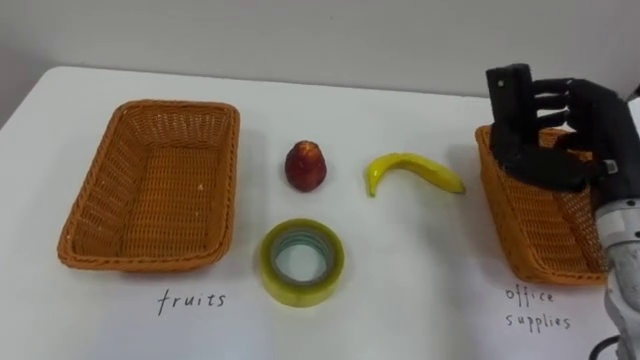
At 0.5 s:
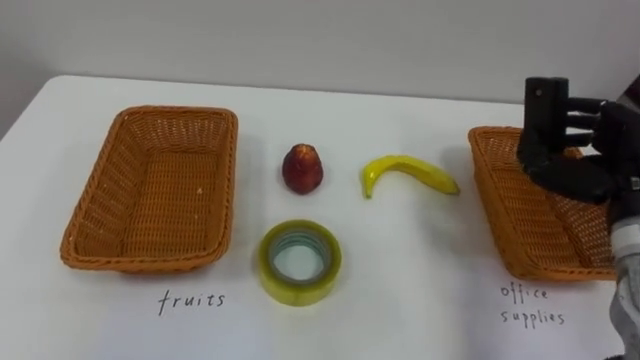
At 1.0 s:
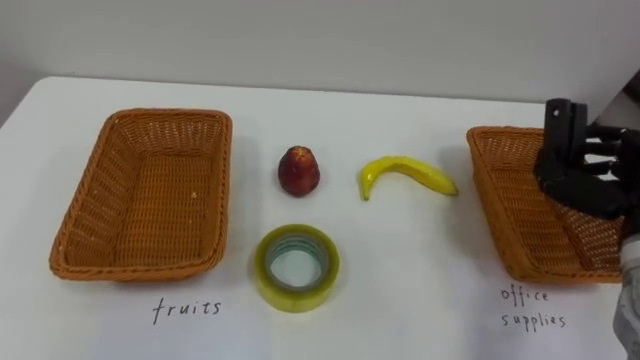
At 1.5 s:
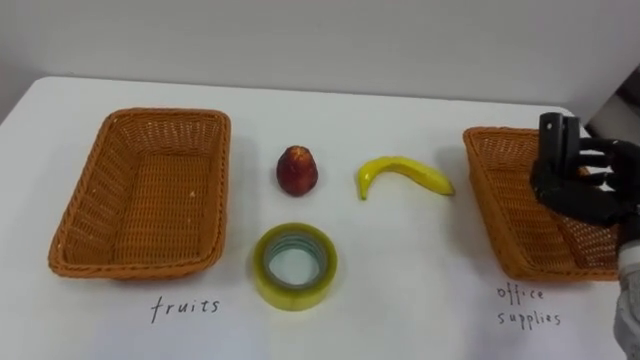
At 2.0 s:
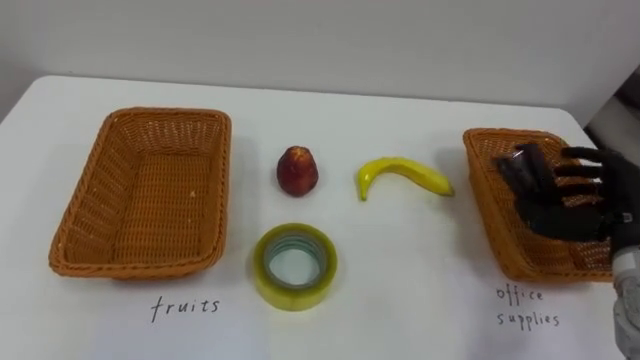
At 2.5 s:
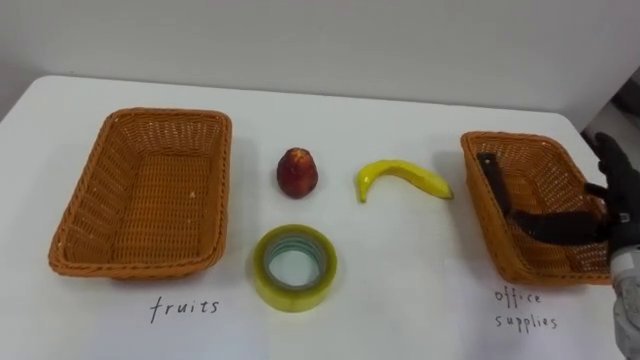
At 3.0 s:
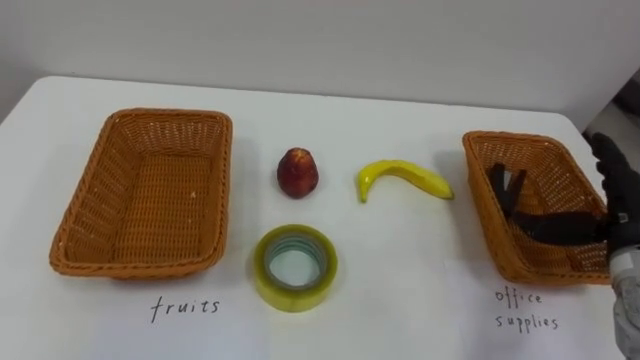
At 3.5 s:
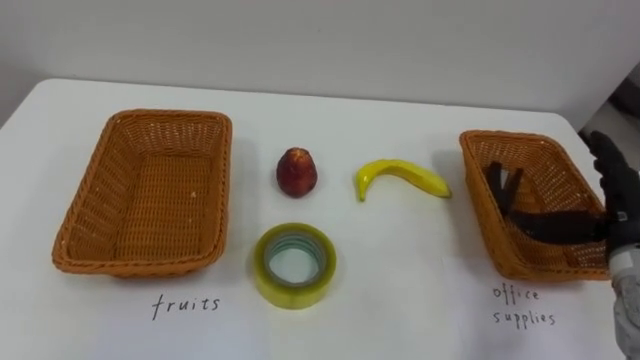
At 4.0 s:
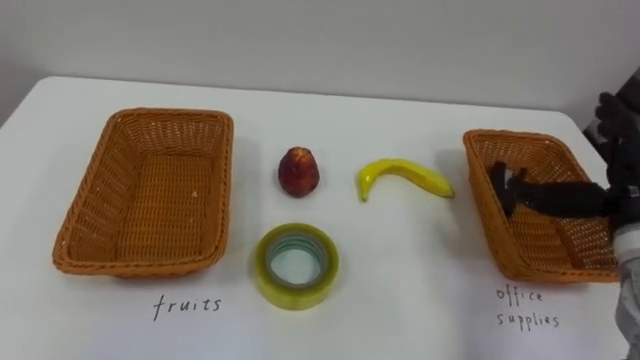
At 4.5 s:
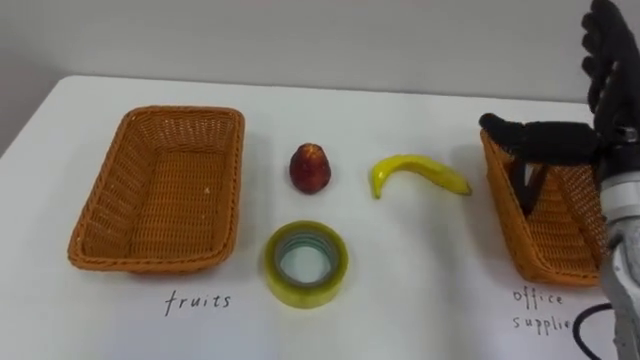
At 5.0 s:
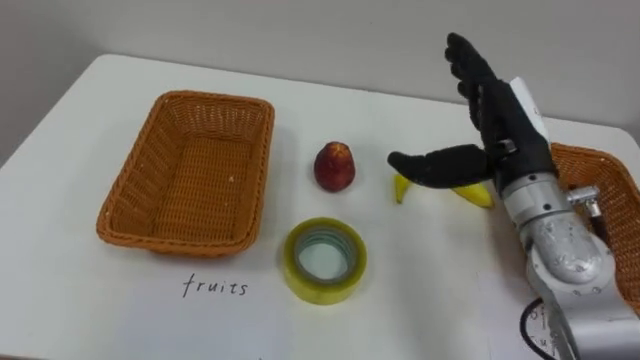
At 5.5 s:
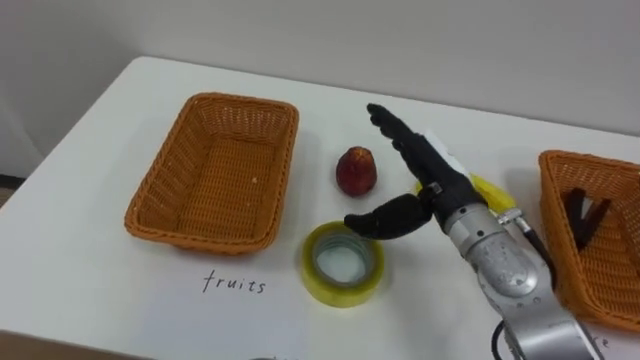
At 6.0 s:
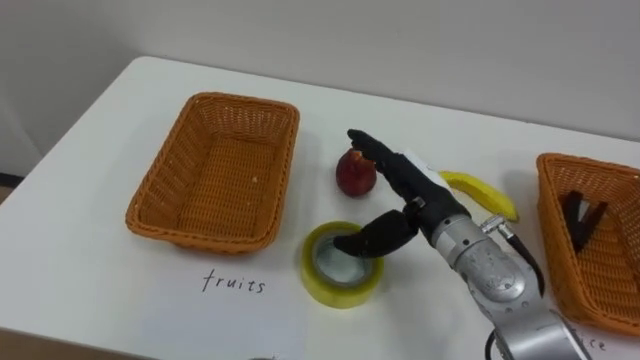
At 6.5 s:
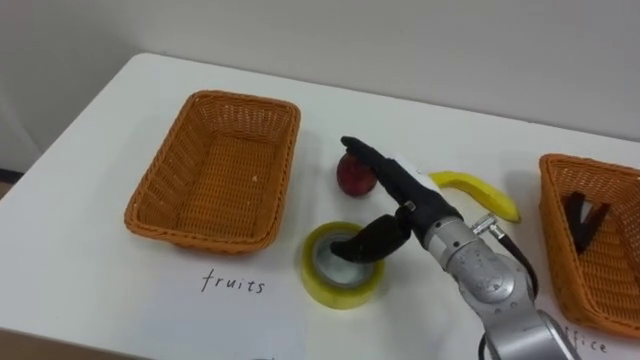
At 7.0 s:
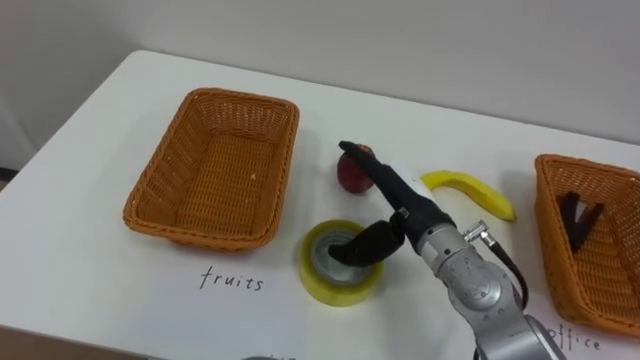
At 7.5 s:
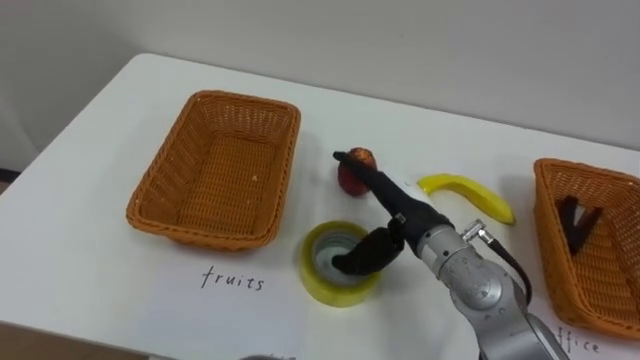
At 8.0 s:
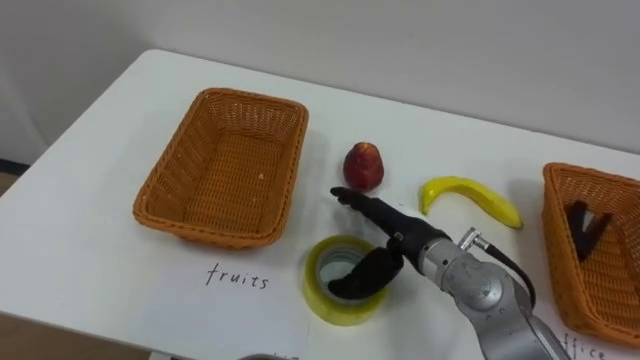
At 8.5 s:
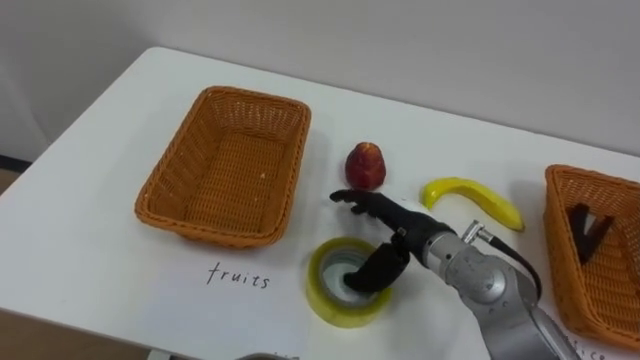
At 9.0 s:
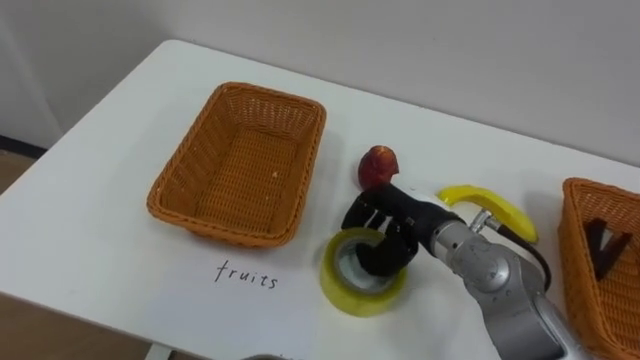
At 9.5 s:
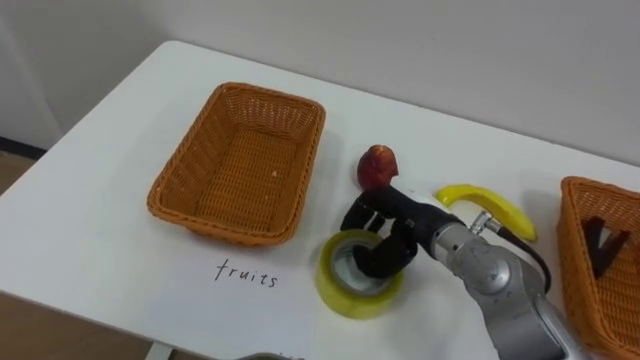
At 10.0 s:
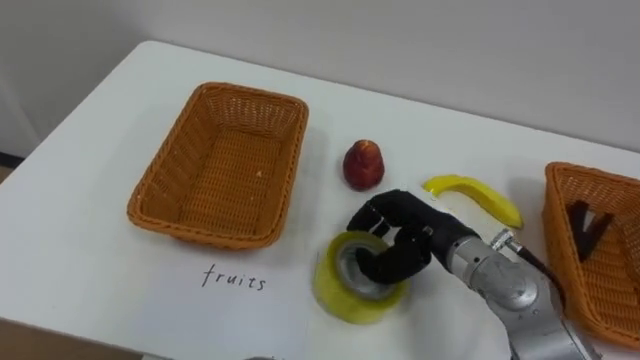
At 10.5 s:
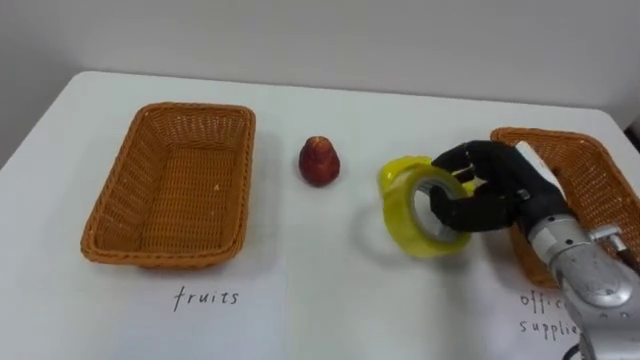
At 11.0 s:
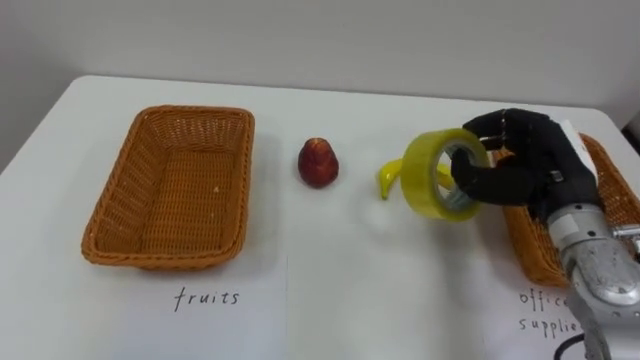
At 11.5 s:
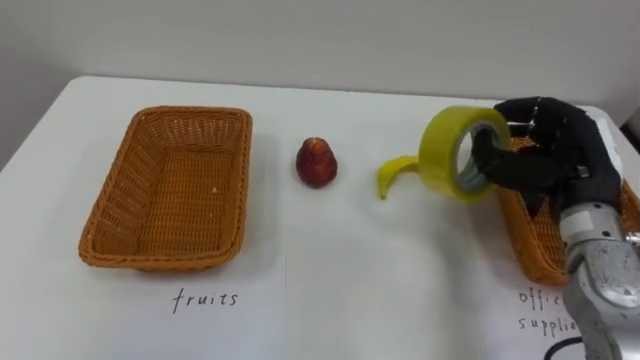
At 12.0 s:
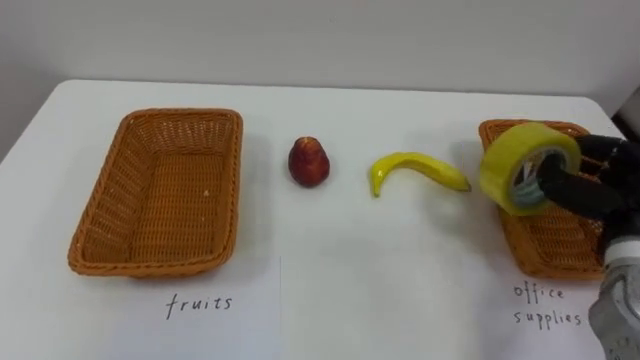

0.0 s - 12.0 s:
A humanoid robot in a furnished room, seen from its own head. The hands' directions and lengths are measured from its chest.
Task of the whole recording: Separate the items on the table and place them into the two baskets.
2.0 s - 4.0 s: The right hand opens its fingers.
4.0 s - 6.0 s: The right hand heads to the left, covering about 20 cm.
6.0 s - 8.0 s: The right hand heads downward, covering approximately 5 cm.
8.0 s - 10.0 s: The right hand closes its fingers.
10.0 s - 12.0 s: The right hand shifts about 20 cm to the right.

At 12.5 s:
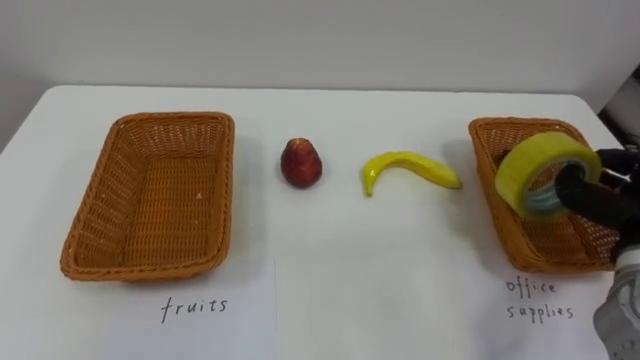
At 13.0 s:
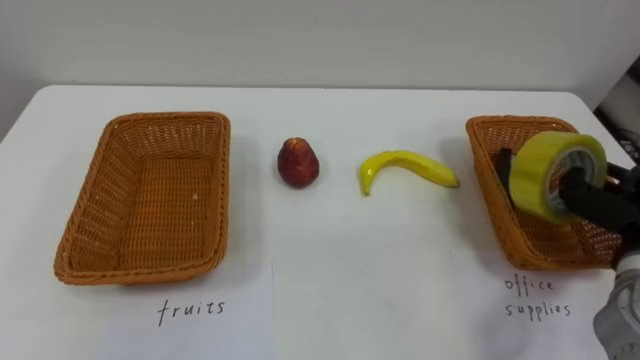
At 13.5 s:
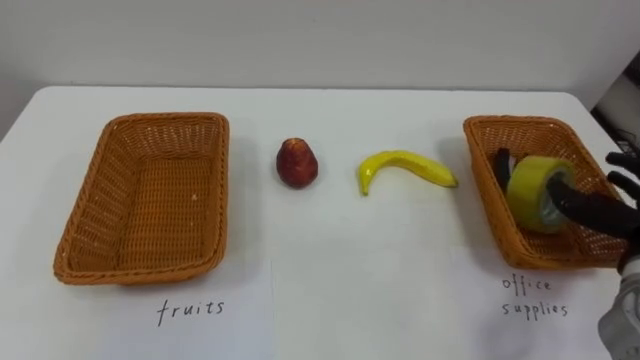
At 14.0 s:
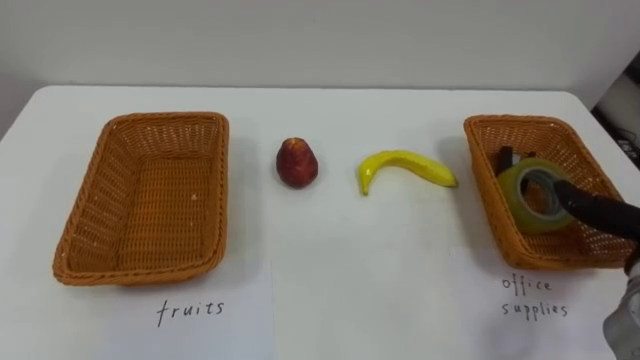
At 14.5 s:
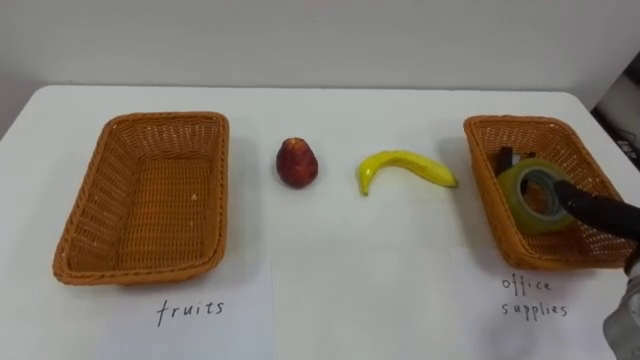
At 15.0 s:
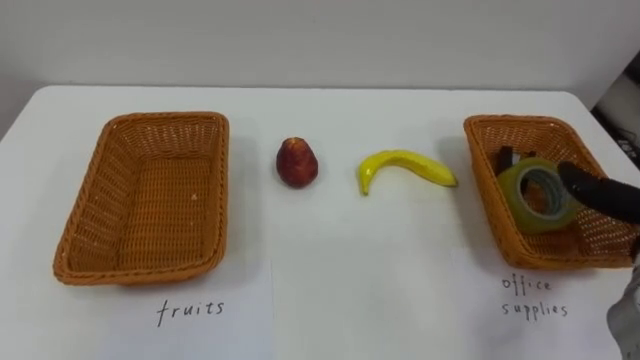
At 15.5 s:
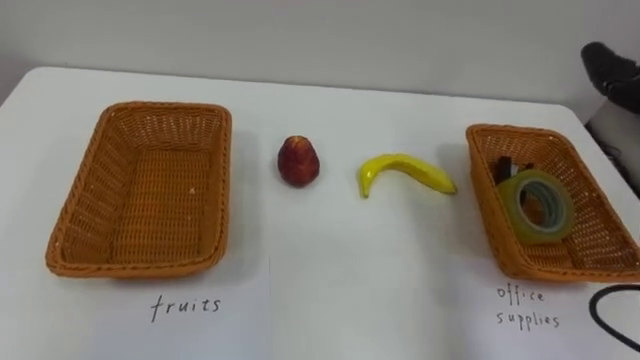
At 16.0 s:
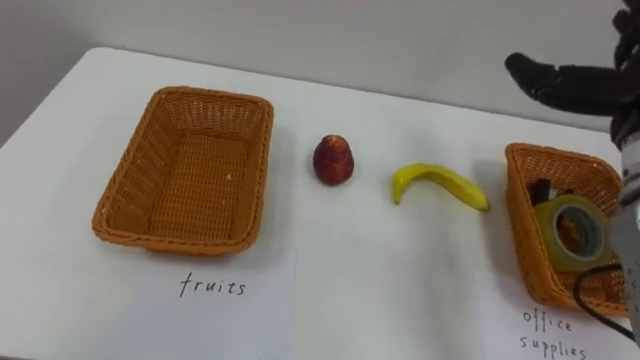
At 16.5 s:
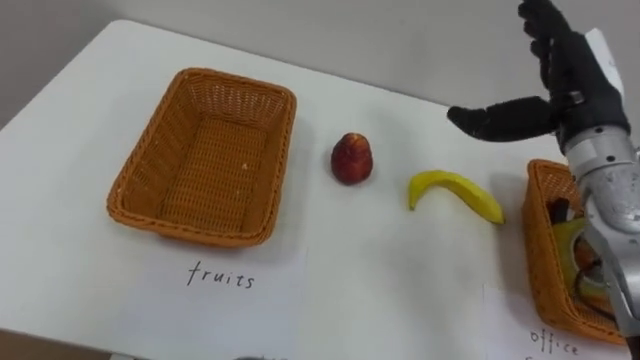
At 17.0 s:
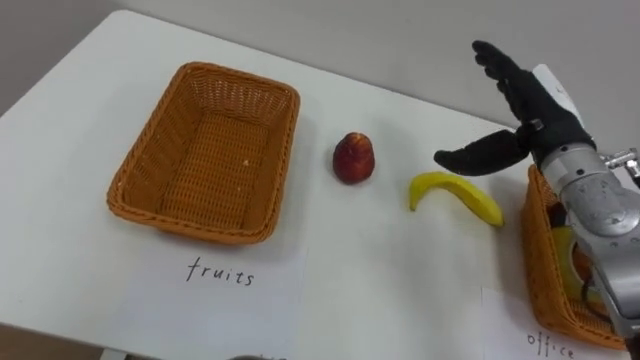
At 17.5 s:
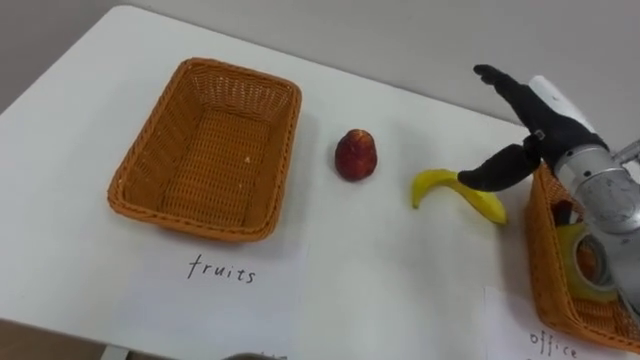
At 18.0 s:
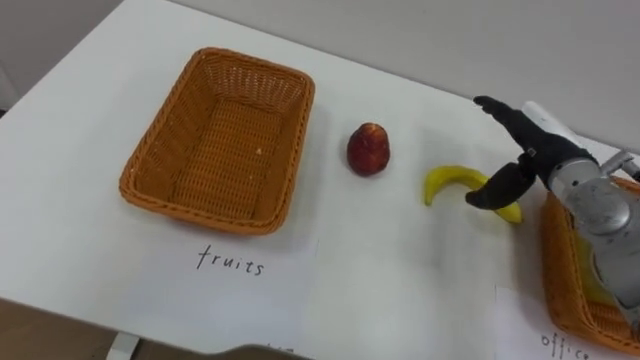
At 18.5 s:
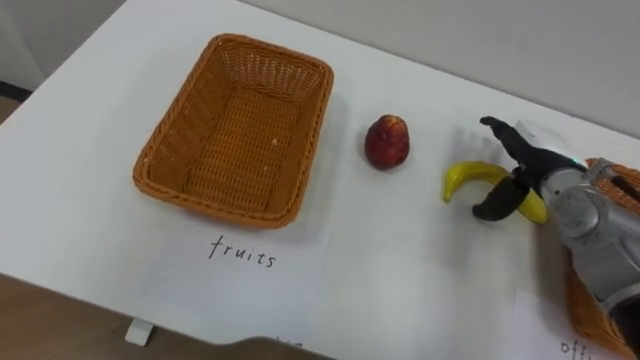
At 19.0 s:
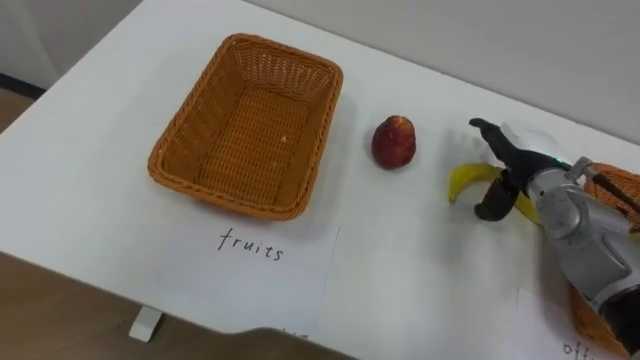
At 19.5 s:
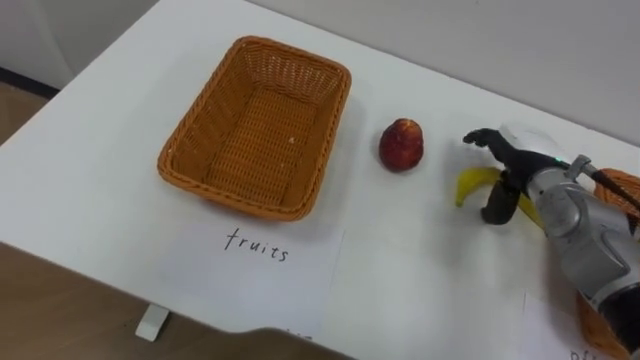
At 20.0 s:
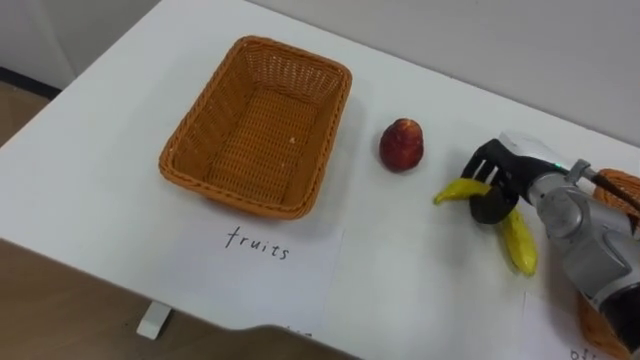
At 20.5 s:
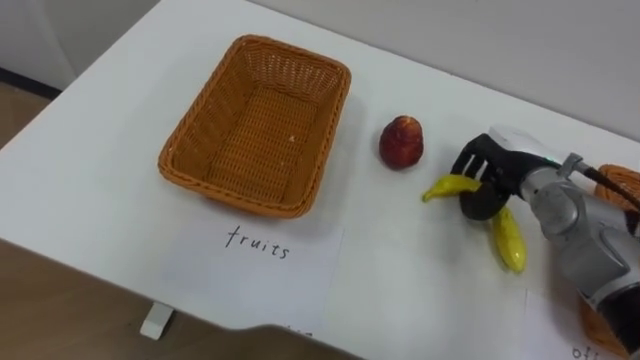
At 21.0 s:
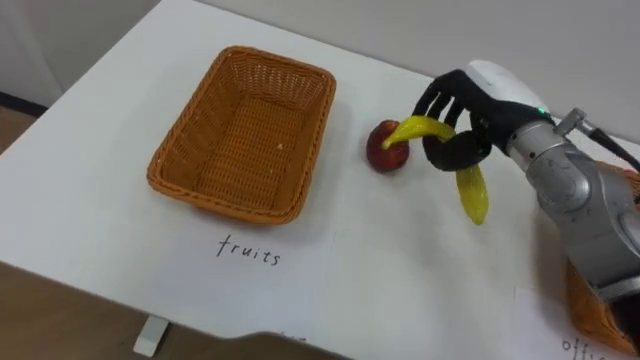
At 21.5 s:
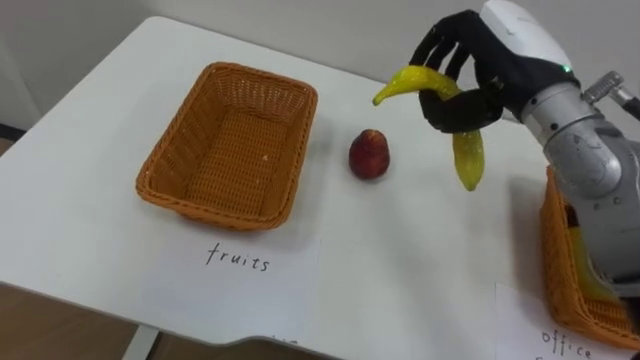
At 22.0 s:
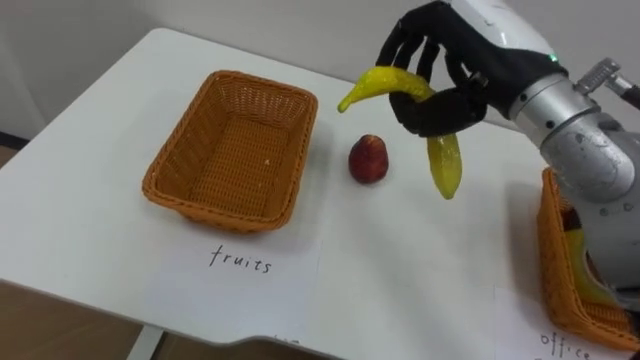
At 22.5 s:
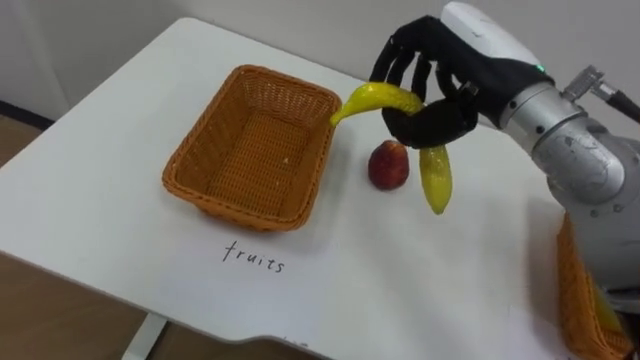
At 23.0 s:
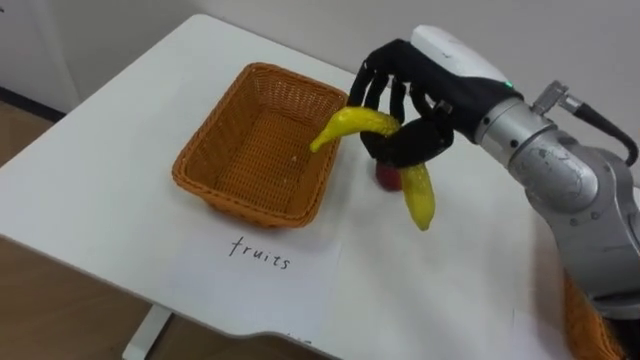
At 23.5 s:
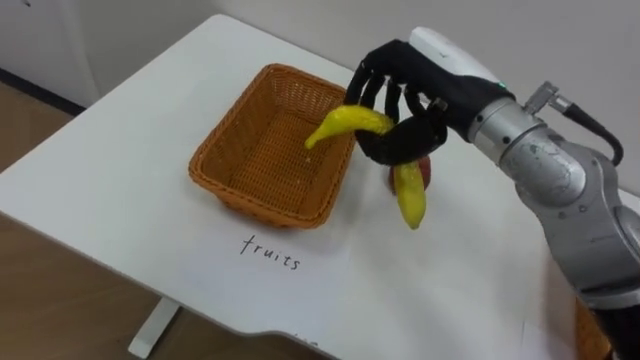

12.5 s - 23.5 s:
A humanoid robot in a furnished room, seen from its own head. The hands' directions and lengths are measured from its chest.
Task of the whole recording: Separate the items on the table and place them into the two baskets.
18.0 s - 20.0 s: The right hand heads downward, covering about 5 cm, and closes its fingers.
20.0 s - 21.5 s: The right hand travels upward and to the left by about 20 cm.
21.5 s - 23.5 s: The right hand is displaced to the left by roughly 5 cm.
